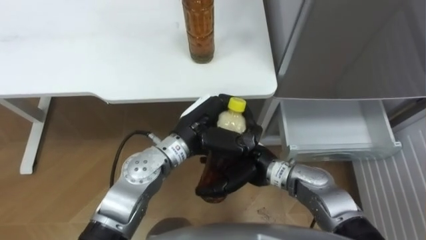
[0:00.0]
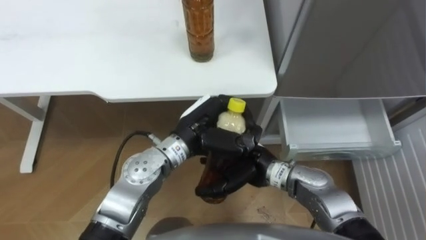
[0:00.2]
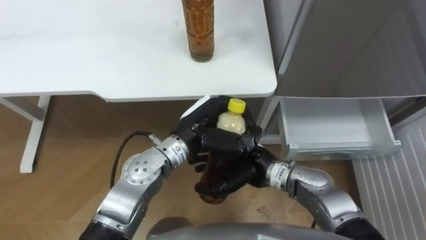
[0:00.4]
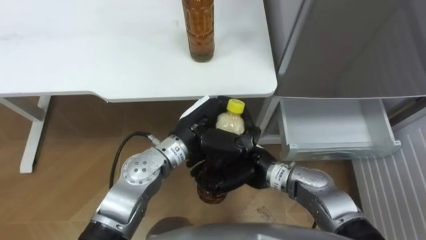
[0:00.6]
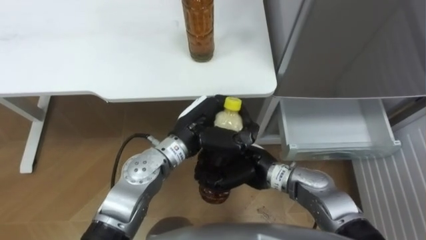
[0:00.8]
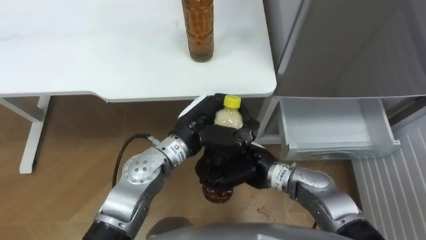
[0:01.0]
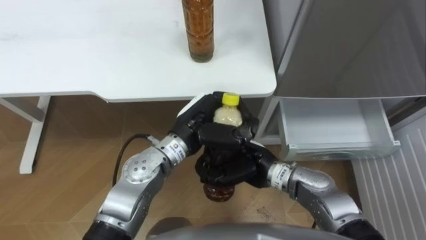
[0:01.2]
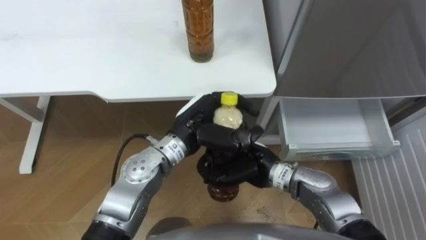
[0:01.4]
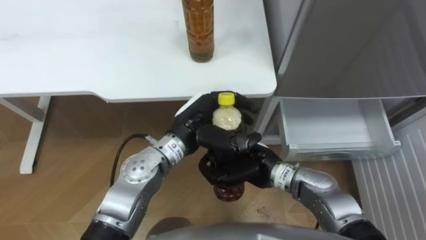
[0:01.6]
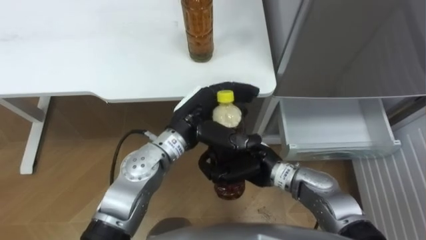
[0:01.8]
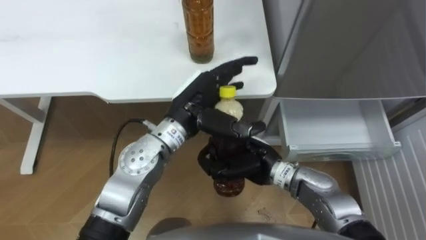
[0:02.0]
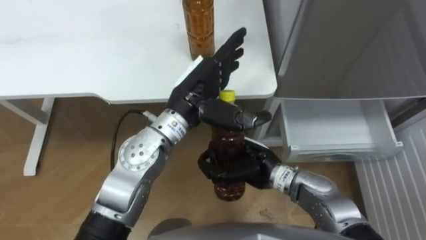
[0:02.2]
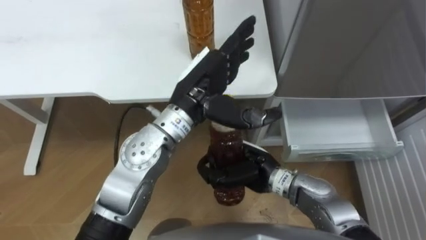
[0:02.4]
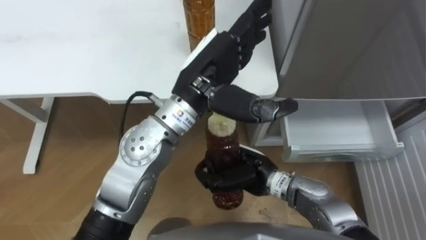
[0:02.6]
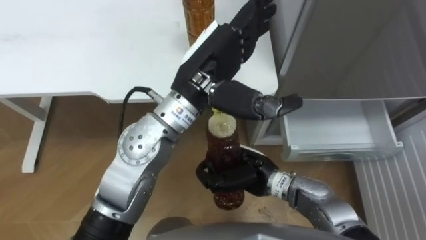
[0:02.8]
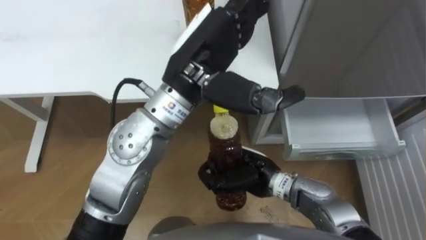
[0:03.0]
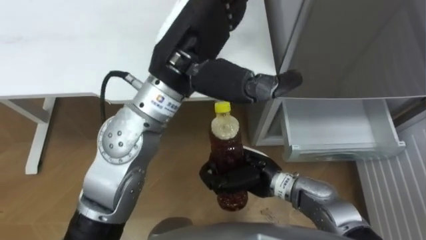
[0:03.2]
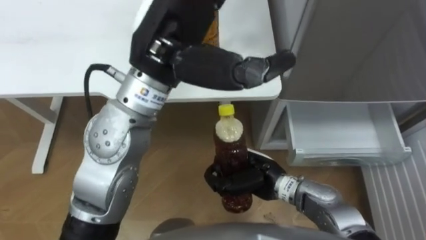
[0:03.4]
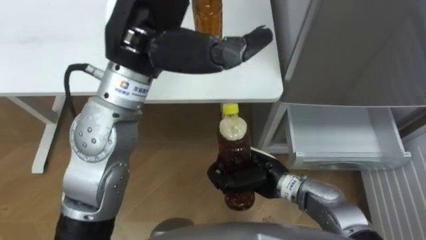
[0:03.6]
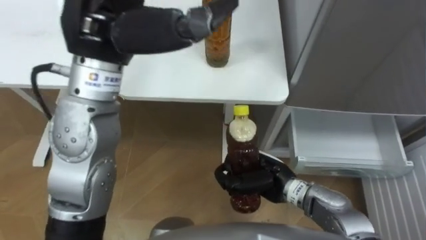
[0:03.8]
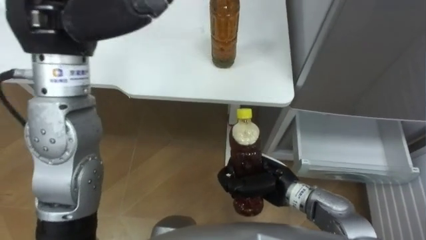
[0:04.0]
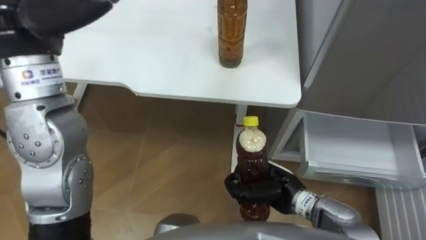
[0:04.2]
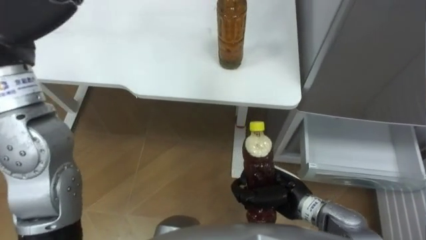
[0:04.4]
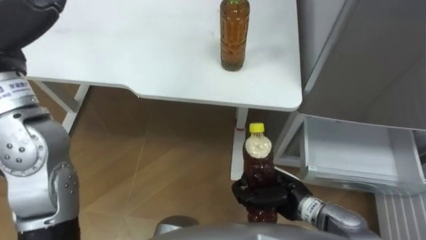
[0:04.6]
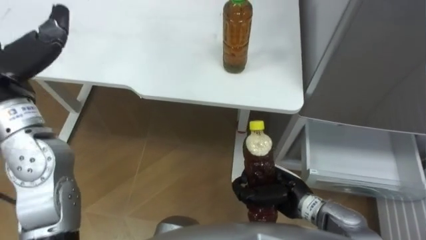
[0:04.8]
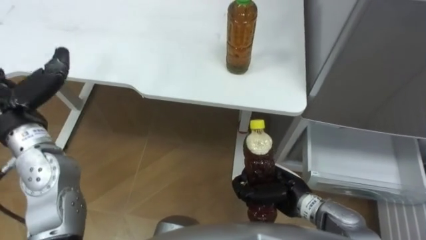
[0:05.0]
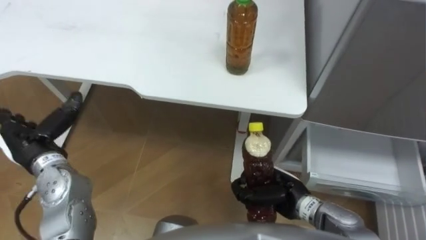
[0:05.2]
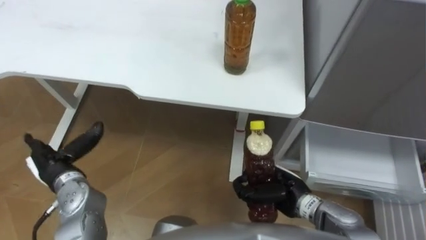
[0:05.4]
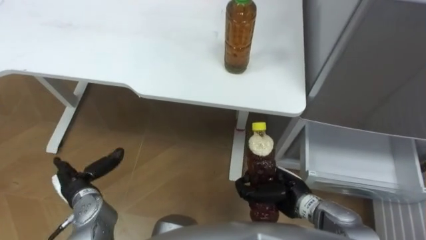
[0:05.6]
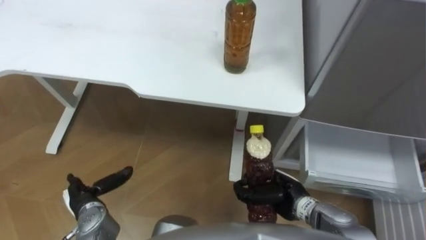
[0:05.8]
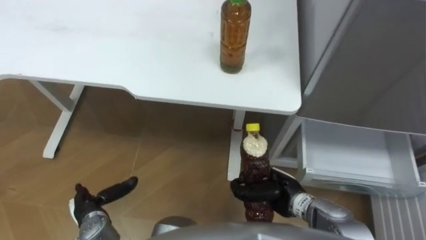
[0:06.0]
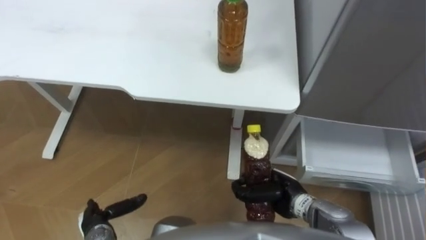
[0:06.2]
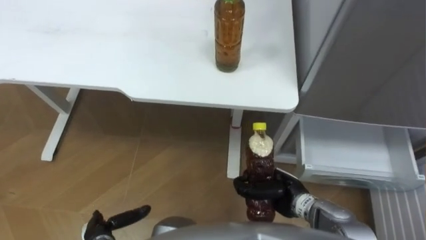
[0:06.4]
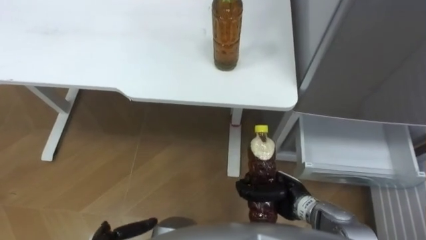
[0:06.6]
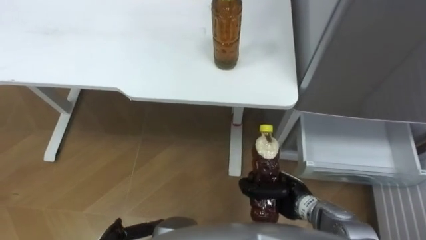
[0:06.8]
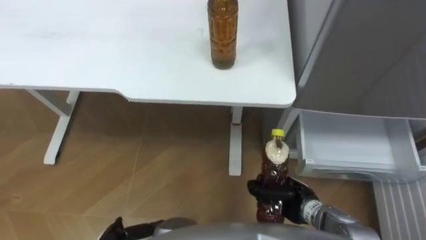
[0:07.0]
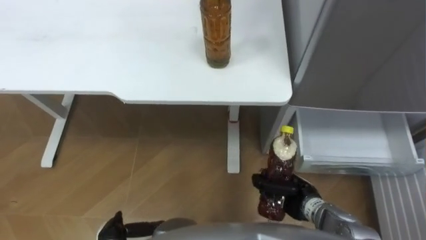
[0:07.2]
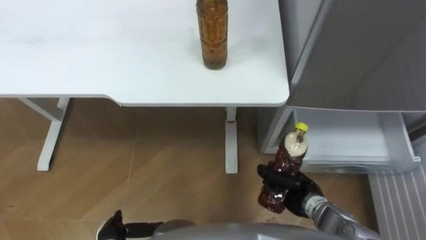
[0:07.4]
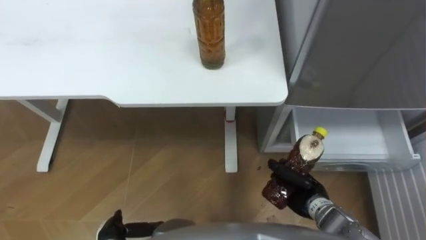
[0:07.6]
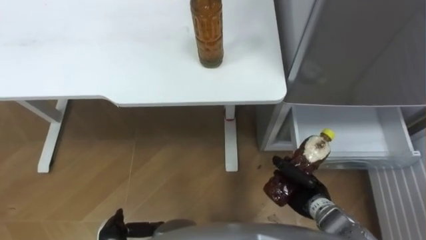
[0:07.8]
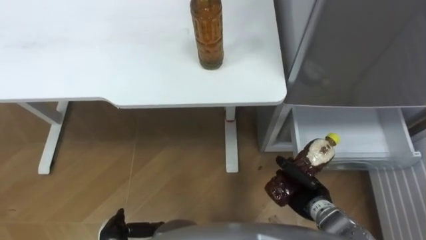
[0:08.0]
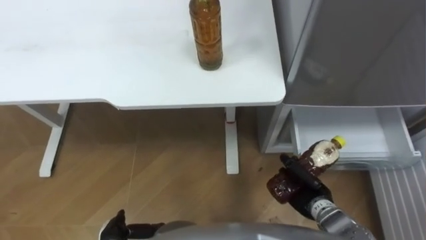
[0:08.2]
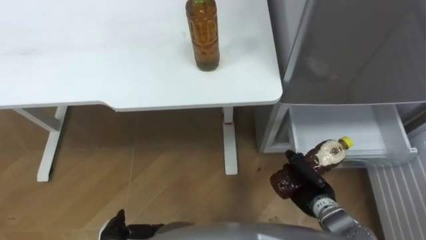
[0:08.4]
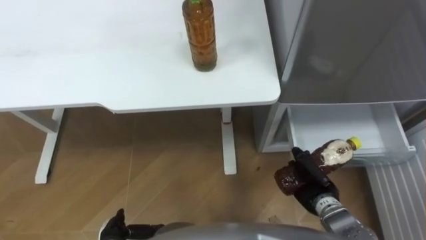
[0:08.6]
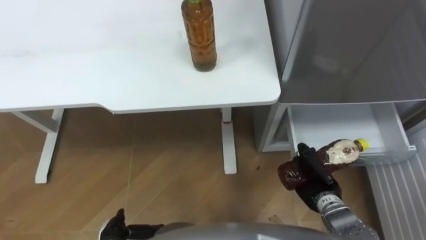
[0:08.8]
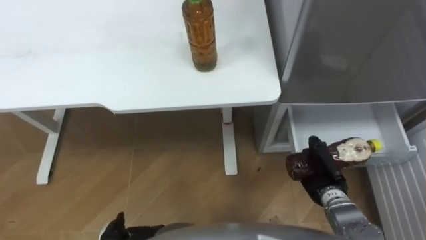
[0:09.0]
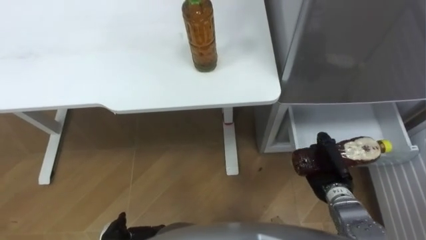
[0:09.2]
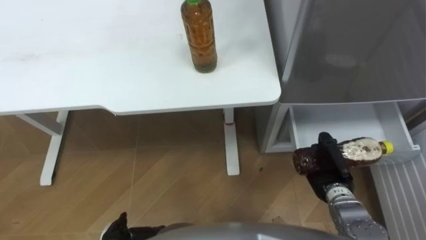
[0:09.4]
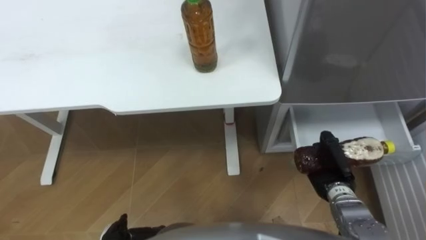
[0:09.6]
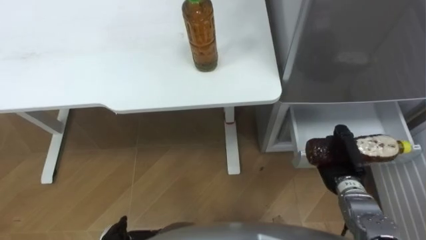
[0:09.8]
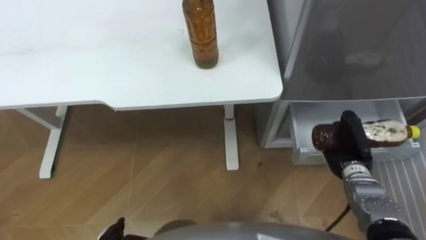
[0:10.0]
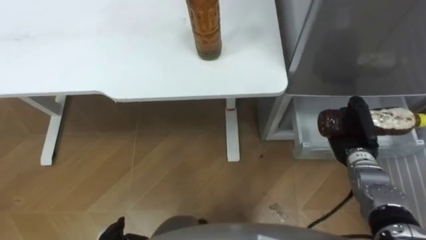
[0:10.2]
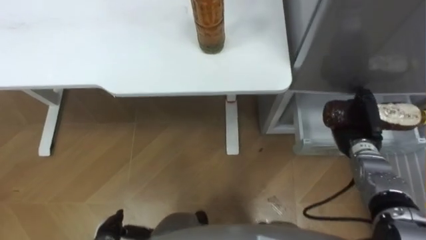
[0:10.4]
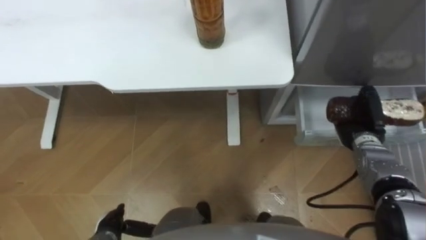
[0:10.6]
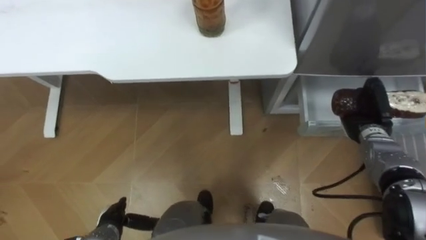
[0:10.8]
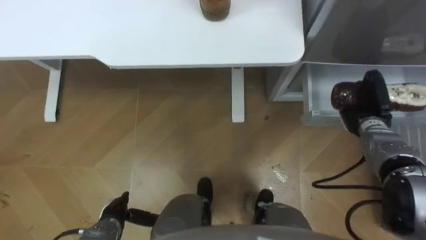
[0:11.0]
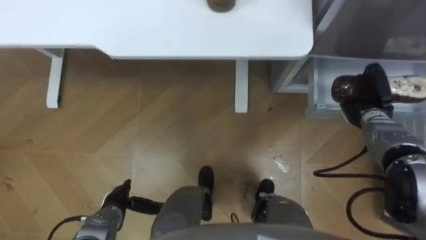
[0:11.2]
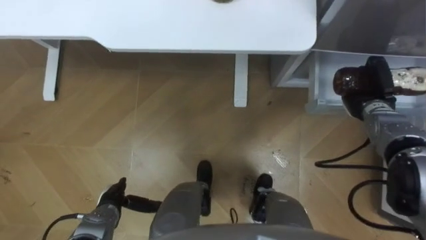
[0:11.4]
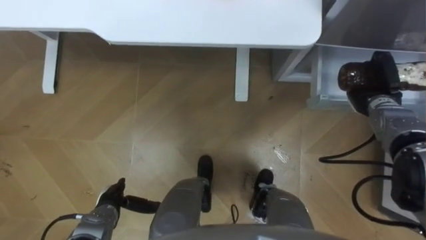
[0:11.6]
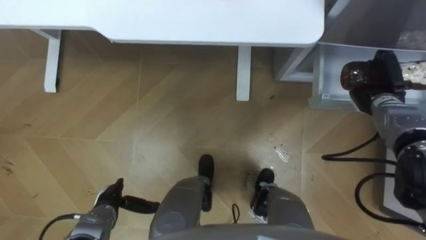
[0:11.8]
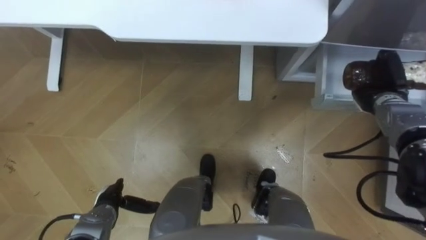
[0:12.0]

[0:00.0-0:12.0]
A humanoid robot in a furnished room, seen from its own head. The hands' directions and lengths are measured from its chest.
Task of the whole recording: Place the drink on the table on the bottom shelf of the refrigerator, then close the drawer and the refrigerator door.
0:00.0 to 0:01.6: The right hand closes.
0:01.6 to 0:03.0: The left hand travels upward by approximately 15 cm, and opens up.
0:03.0 to 0:04.4: The right hand travels to the right by roughly 5 cm.
0:06.0 to 0:07.6: The right hand goes some 5 cm to the right.
0:09.0 to 0:10.4: The right hand shifts approximately 15 cm forward, to the right and upward.
0:10.4 to 0:12.0: The right hand shifts roughly 10 cm forward and upward; the left hand is displaced forward by about 5 cm.

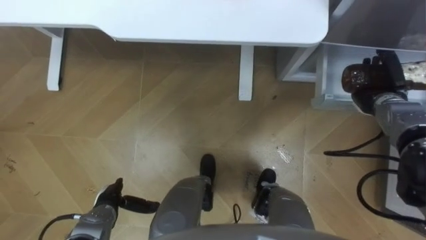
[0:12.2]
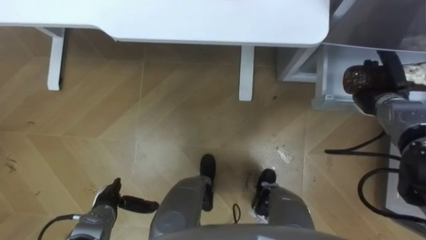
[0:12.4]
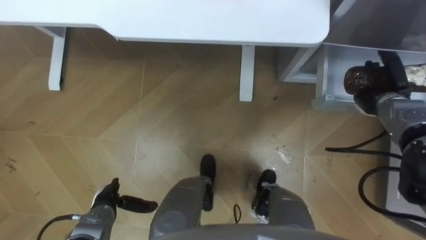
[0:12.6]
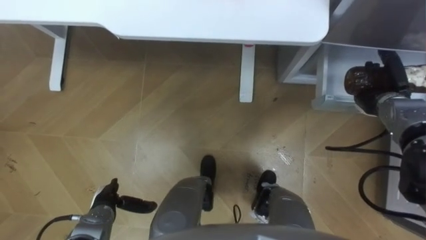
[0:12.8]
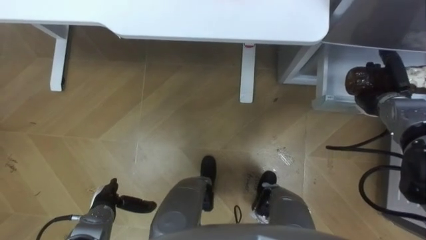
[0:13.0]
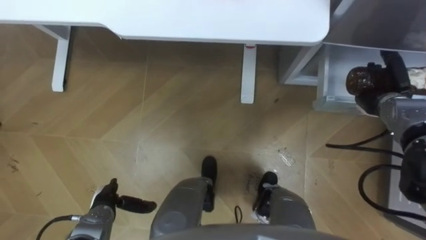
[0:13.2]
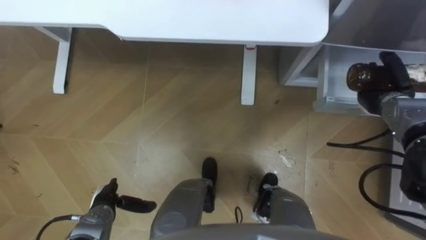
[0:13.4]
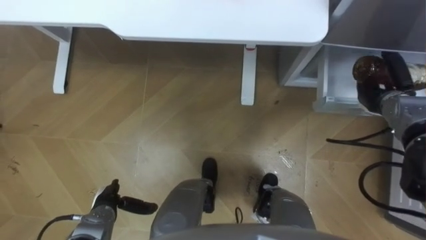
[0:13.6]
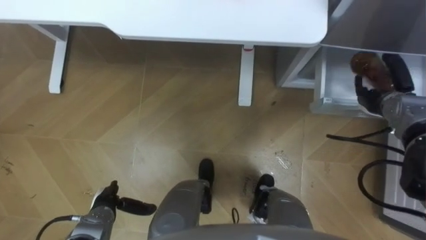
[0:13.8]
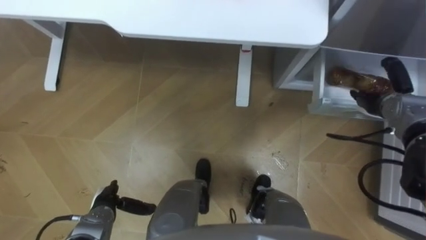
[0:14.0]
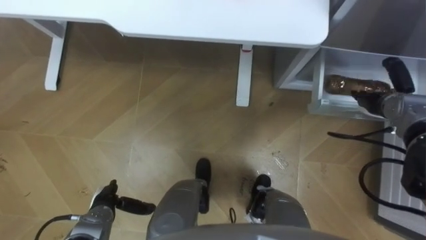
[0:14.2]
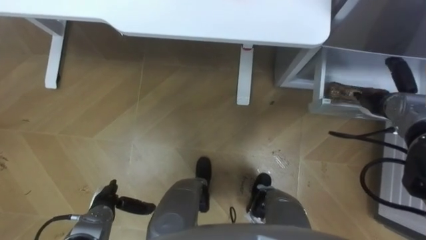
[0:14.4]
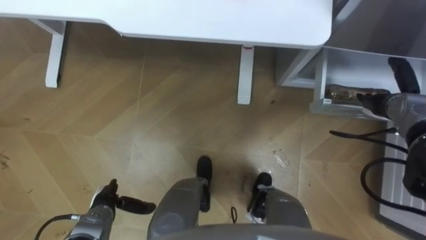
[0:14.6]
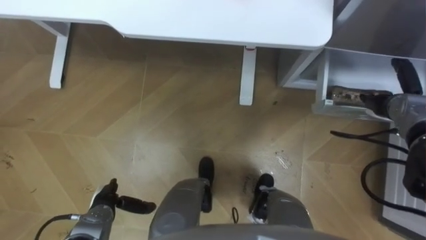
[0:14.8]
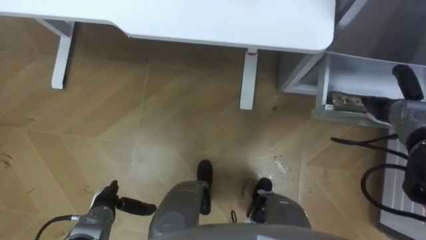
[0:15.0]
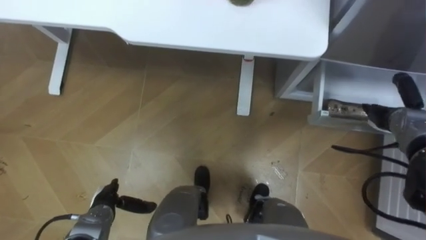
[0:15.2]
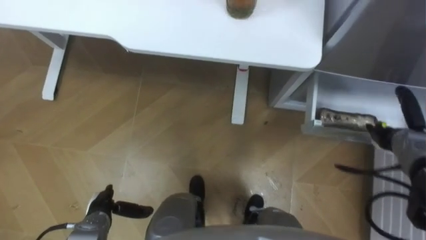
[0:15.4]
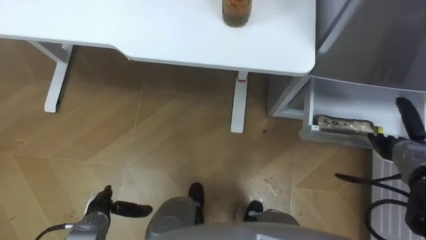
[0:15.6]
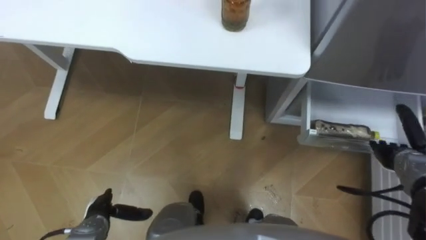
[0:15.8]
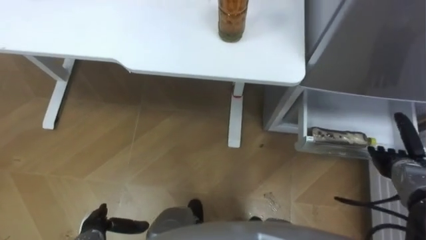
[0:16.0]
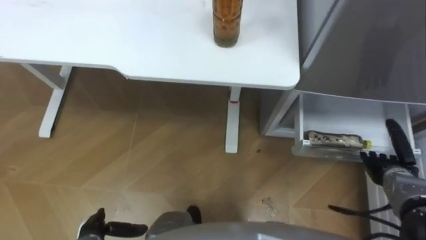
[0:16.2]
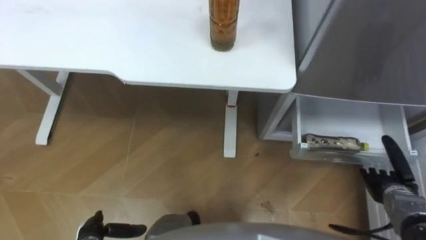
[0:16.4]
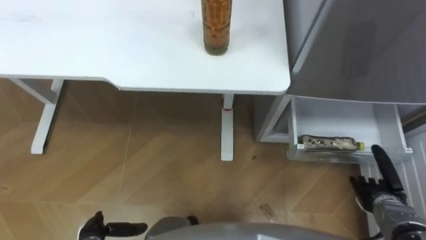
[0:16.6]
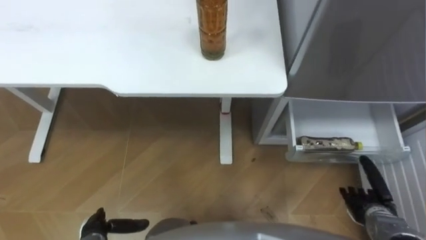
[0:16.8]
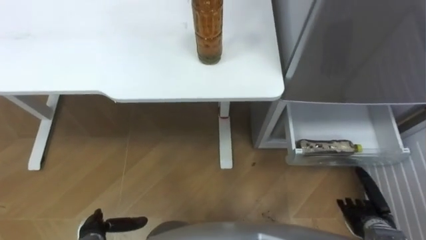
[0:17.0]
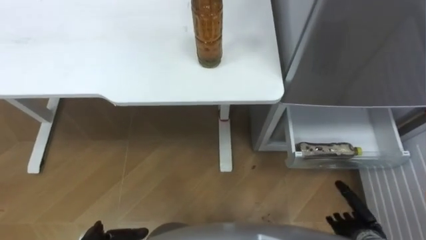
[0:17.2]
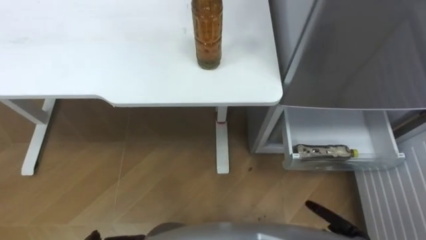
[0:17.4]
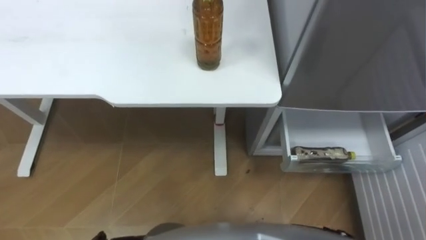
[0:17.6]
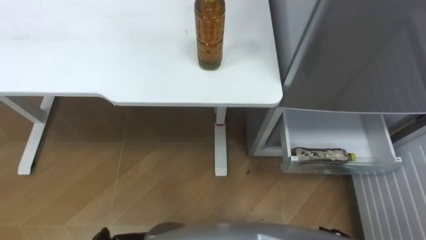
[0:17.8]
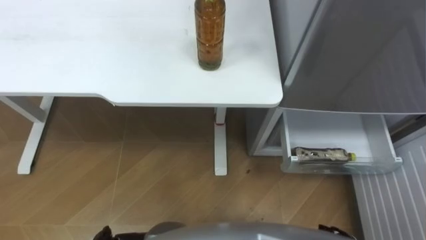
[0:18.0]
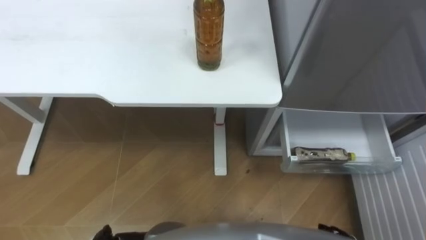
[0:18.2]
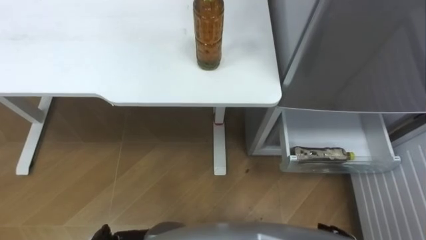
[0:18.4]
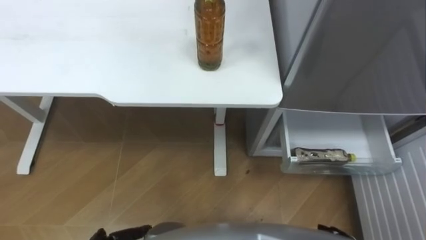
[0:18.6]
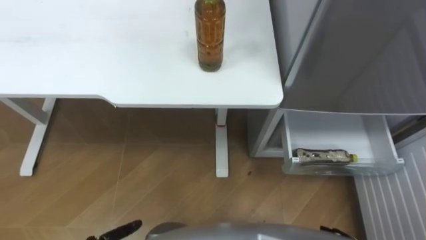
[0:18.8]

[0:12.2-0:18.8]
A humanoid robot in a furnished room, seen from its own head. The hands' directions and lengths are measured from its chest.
Task of the whole recording: Place the drink on the table on the bottom shelf of the refrigerator, then close the drawer and the refrigerator door.
0:12.2 to 0:13.8: The right hand opens its fingers.
0:13.8 to 0:15.4: The right hand goes about 5 cm backward.
0:15.4 to 0:17.2: The right hand travels backward and downward by roughly 20 cm.
